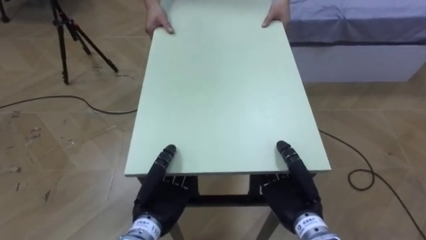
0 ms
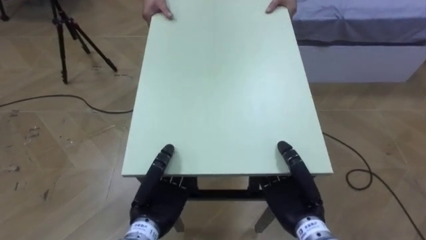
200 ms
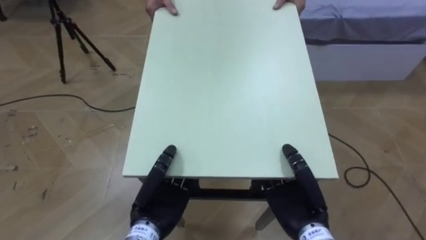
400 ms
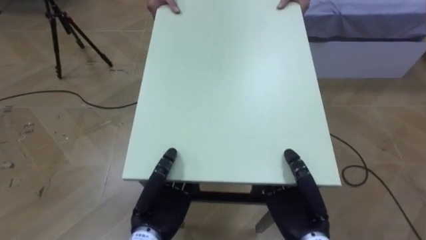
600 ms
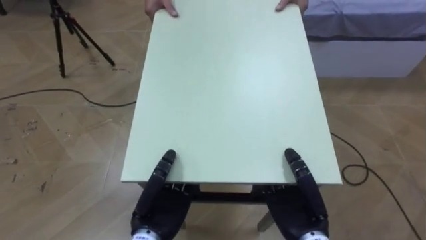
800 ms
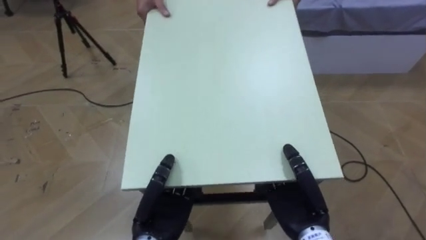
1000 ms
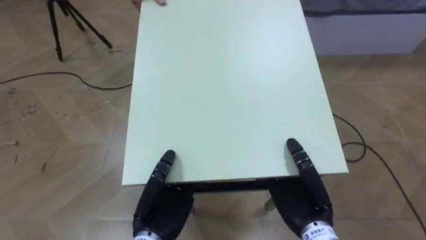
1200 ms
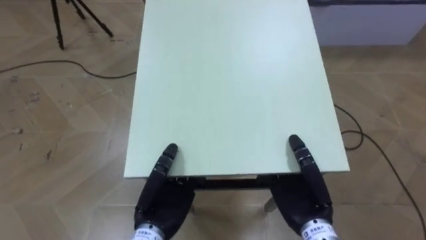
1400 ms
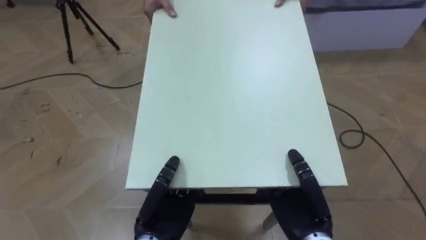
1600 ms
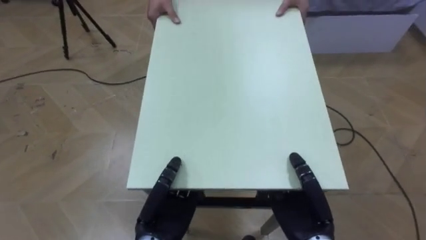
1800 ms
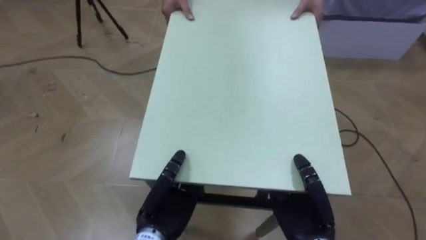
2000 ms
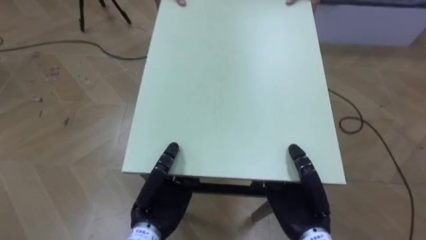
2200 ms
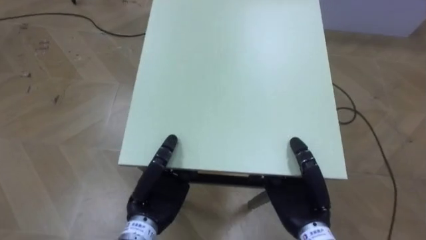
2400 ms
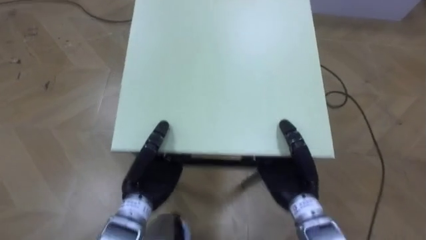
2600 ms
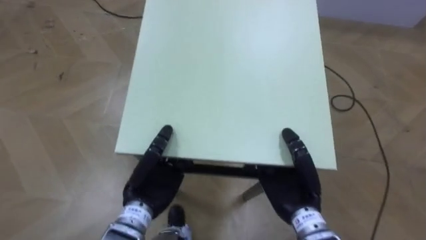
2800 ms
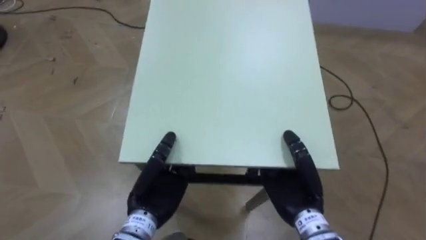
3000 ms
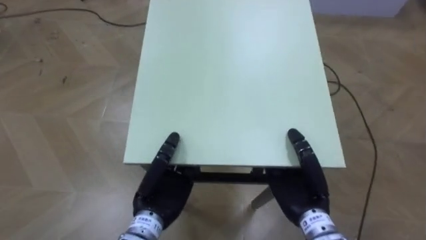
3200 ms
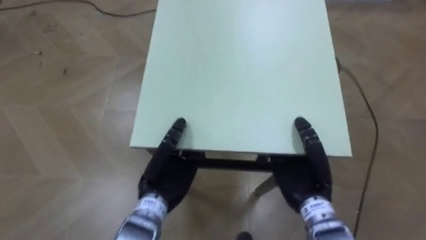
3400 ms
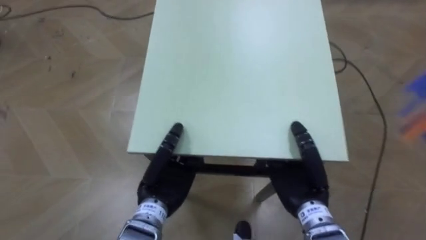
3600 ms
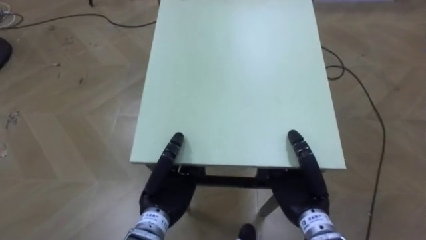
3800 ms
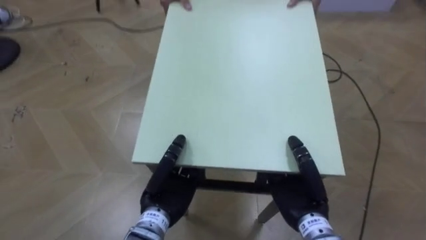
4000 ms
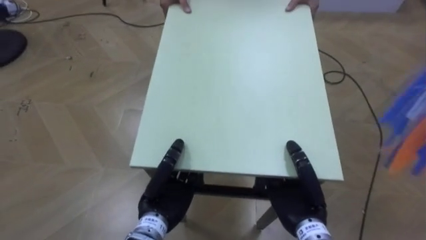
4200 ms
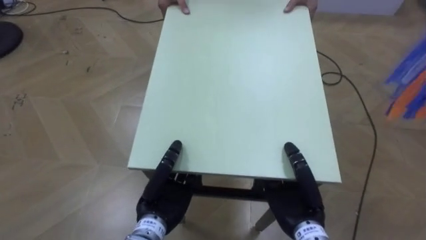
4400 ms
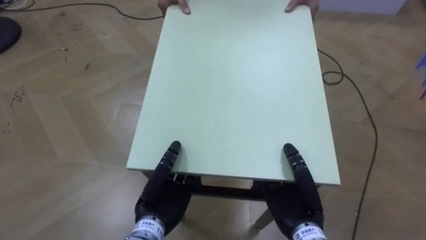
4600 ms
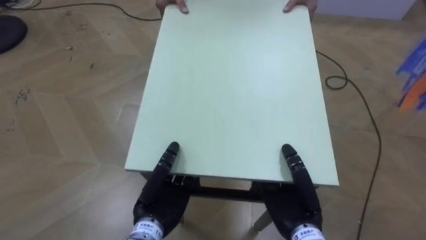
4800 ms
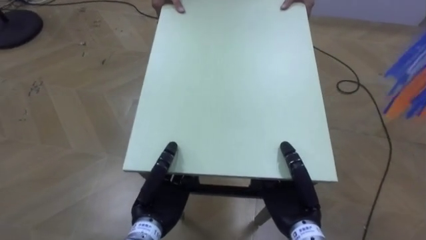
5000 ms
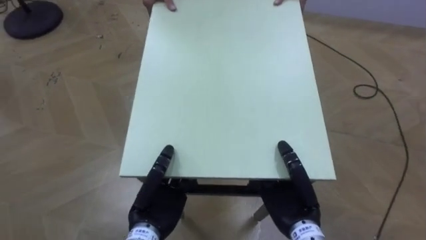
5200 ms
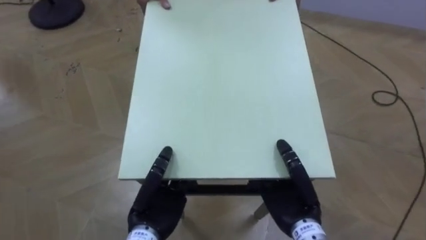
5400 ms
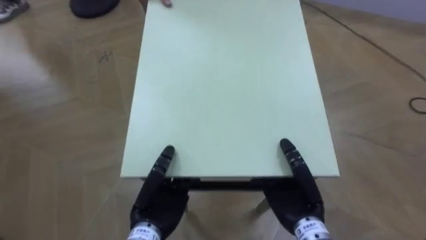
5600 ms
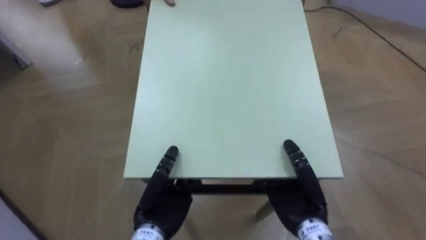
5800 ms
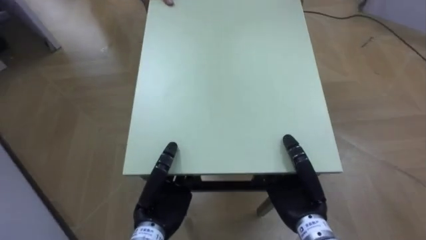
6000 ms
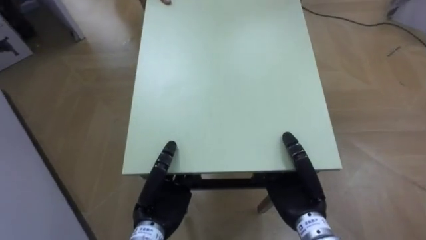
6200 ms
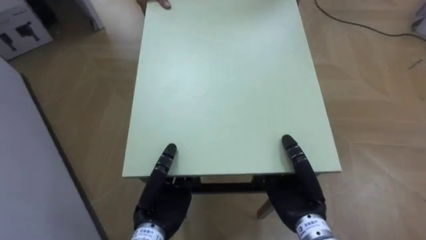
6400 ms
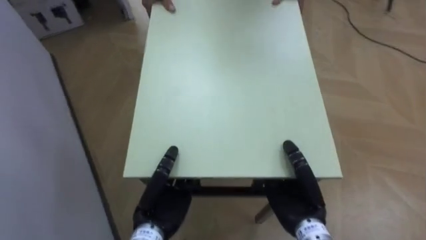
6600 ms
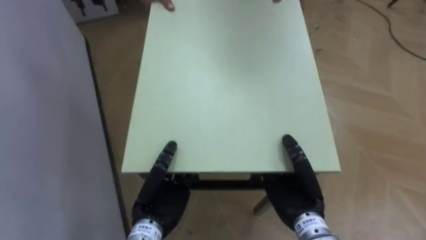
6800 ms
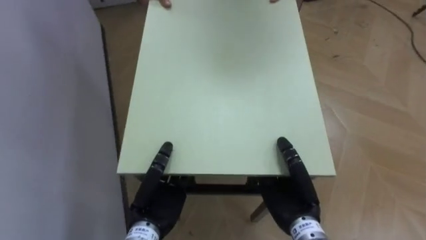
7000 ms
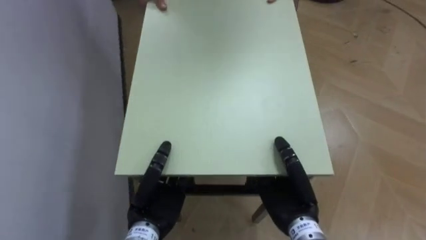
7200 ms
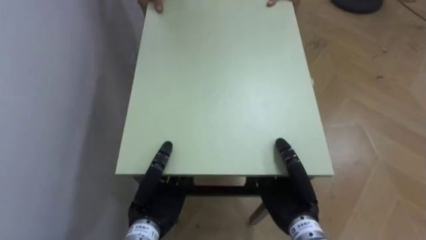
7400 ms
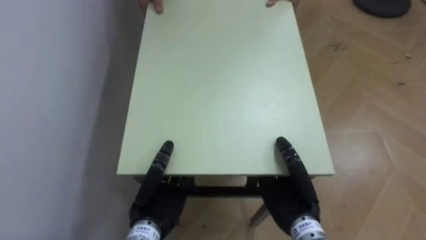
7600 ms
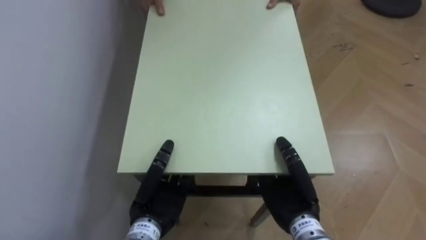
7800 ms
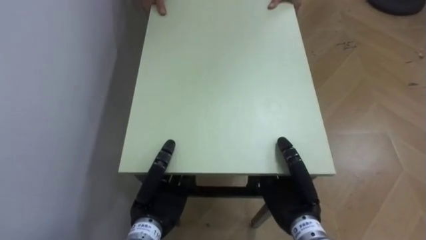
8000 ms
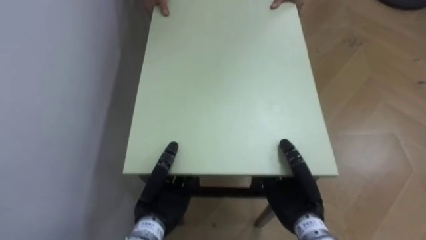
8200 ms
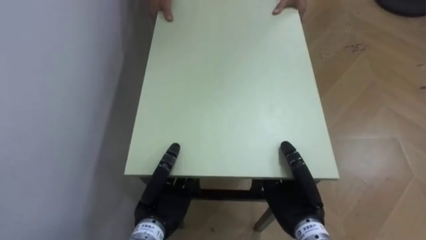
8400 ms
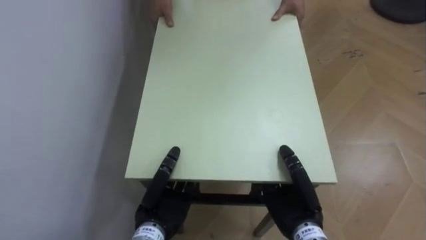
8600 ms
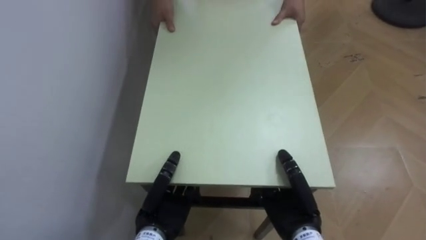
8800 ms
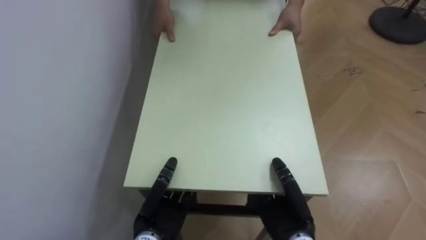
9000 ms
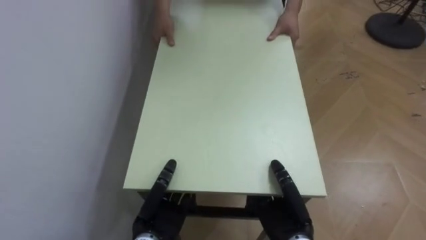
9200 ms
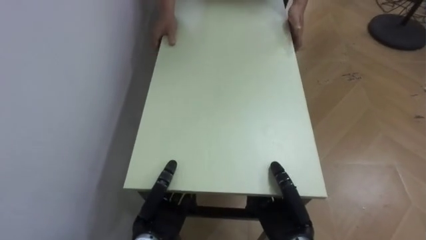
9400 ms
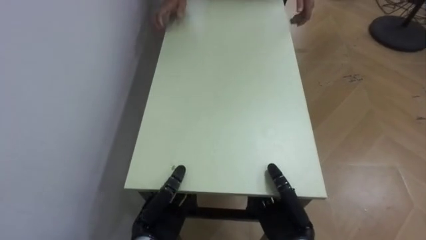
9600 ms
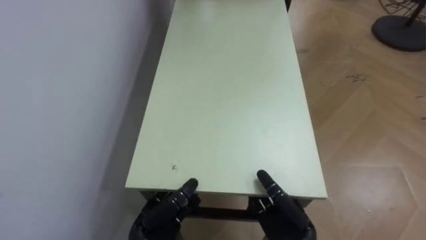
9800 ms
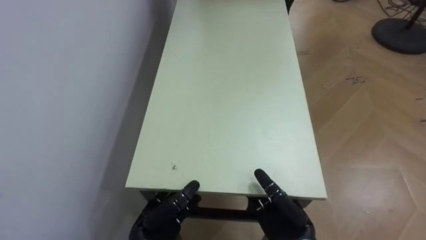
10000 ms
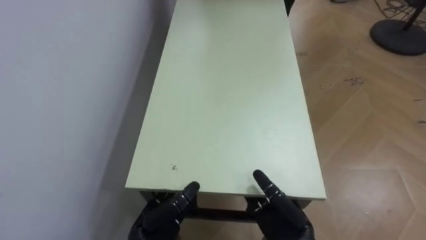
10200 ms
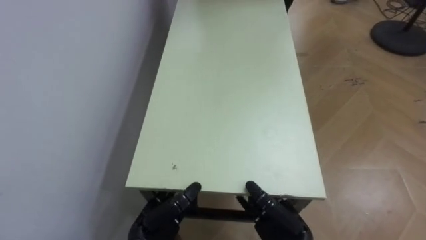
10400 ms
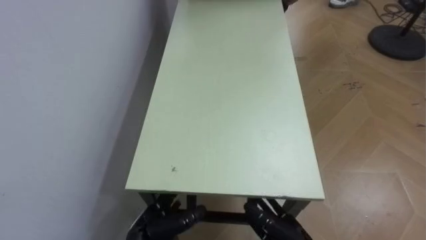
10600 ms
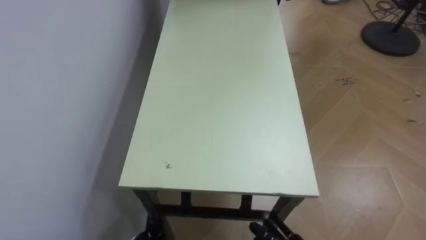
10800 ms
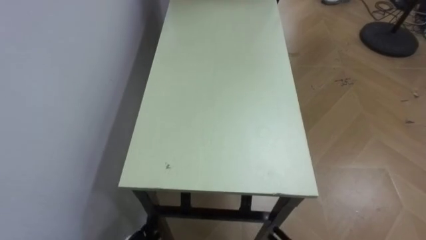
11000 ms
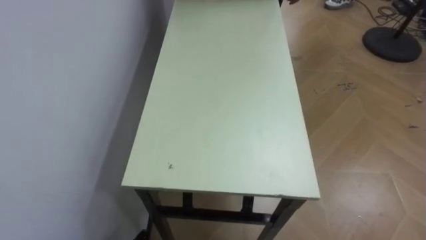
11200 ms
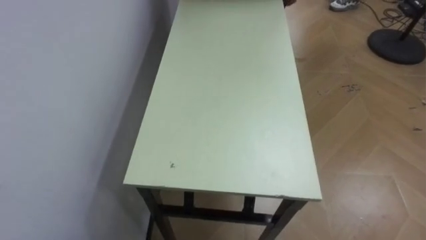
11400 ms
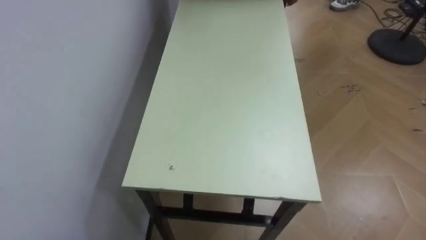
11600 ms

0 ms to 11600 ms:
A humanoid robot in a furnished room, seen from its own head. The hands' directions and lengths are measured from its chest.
Task of the whole recording: Move the table to the back left with someone.
4400 ms to 5800 ms: The robot turns to its left by approximately 30 degrees.
5800 ms to 7200 ms: The robot's body swings approximately 35 degrees to its left.
7200 ms to 8800 ms: The robot rotates approximately 20 degrees to its left.
8800 ms to 10200 ms: The right hand opens up; the left hand opens.

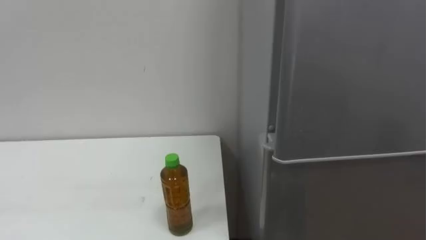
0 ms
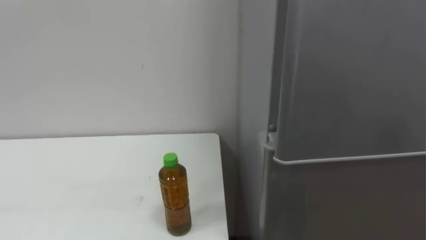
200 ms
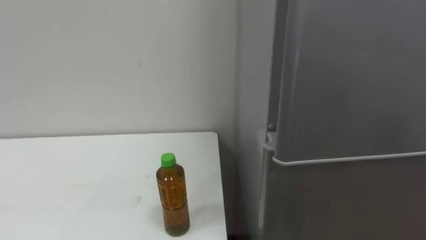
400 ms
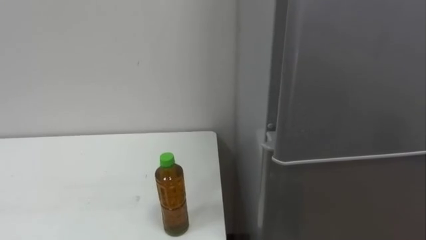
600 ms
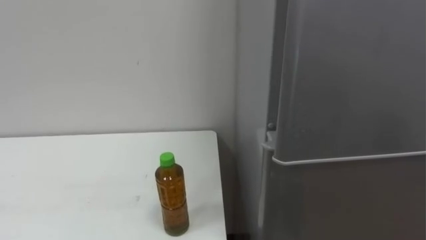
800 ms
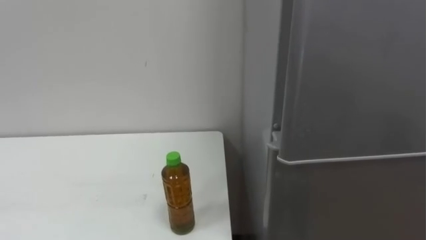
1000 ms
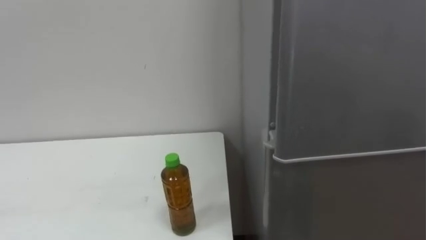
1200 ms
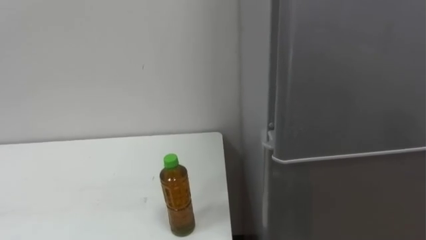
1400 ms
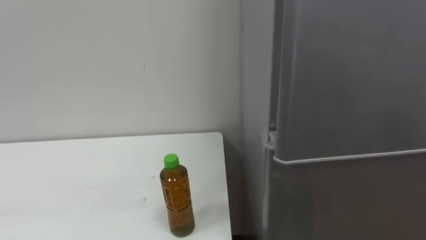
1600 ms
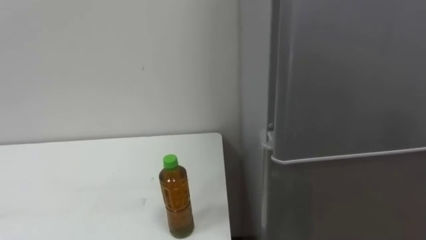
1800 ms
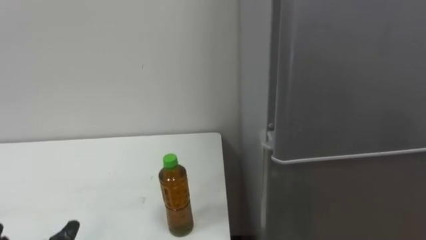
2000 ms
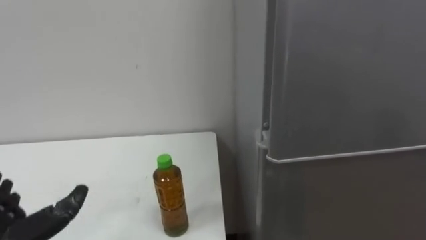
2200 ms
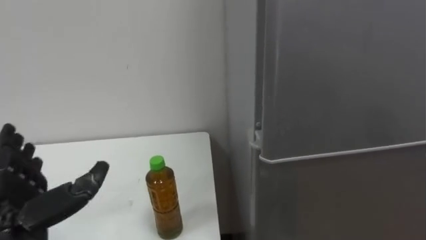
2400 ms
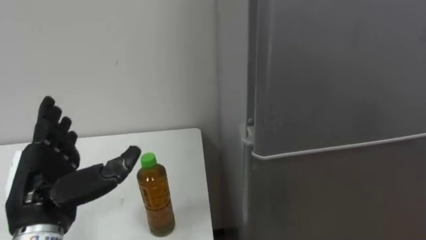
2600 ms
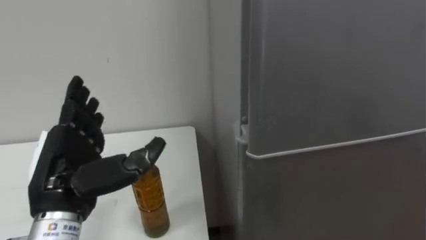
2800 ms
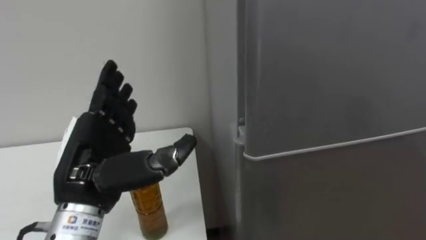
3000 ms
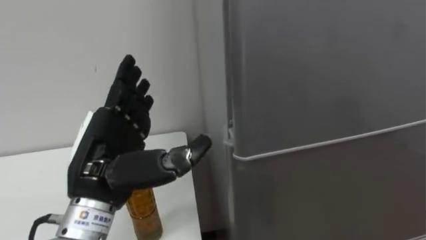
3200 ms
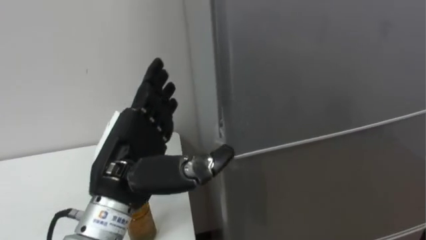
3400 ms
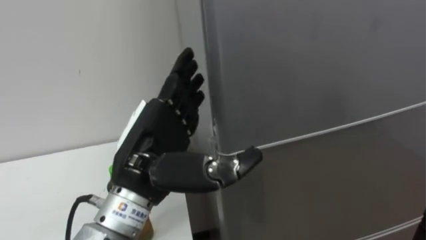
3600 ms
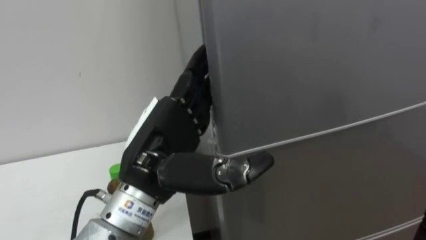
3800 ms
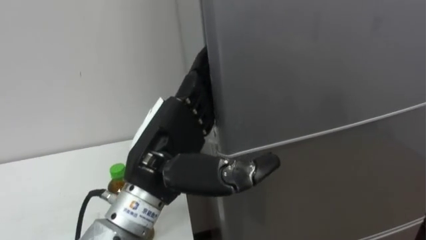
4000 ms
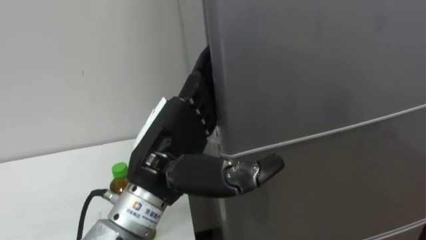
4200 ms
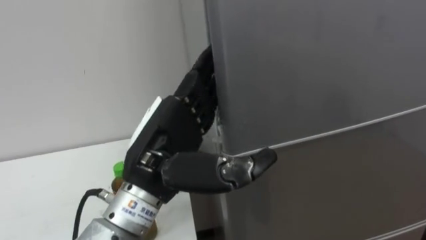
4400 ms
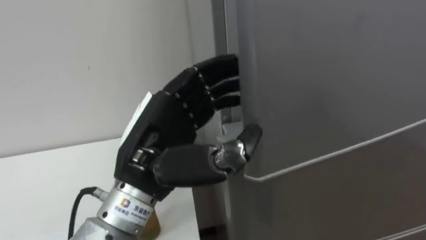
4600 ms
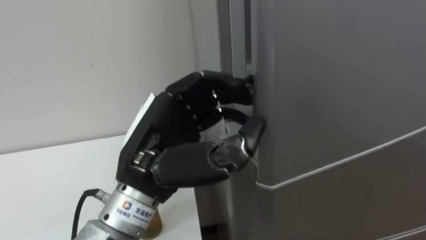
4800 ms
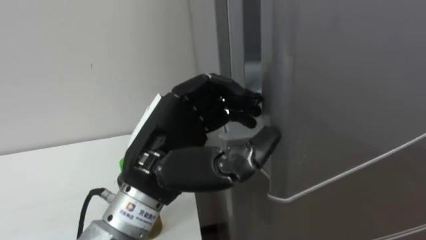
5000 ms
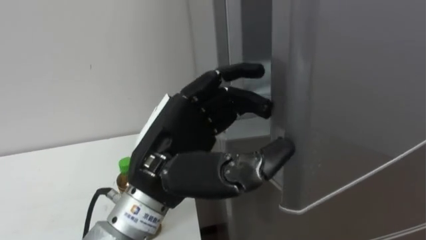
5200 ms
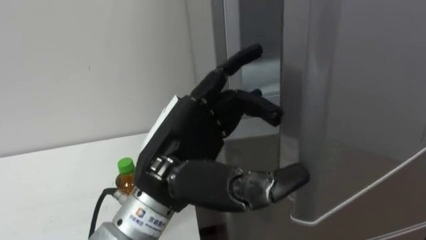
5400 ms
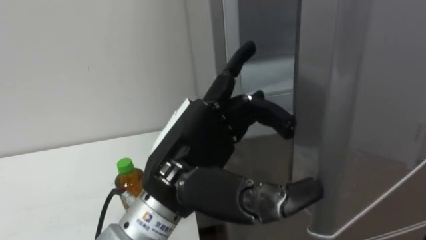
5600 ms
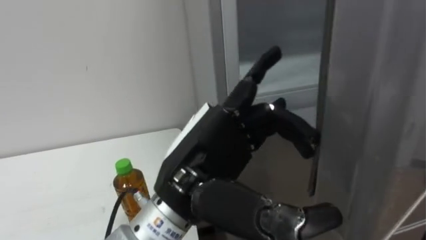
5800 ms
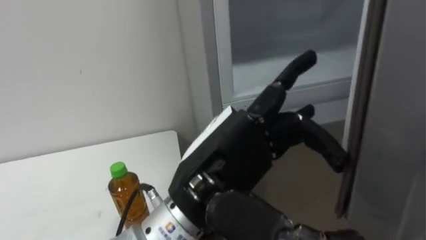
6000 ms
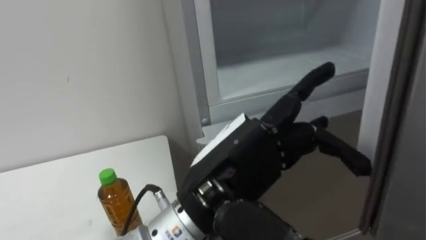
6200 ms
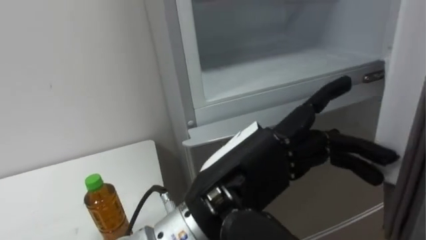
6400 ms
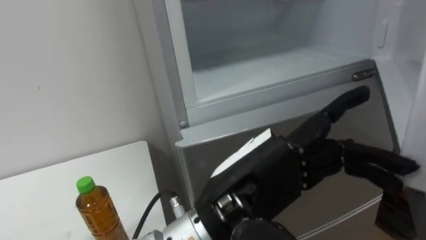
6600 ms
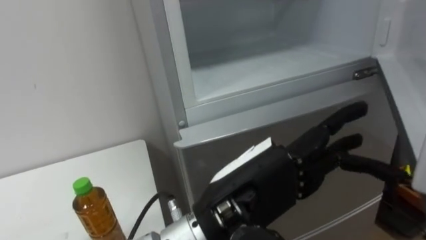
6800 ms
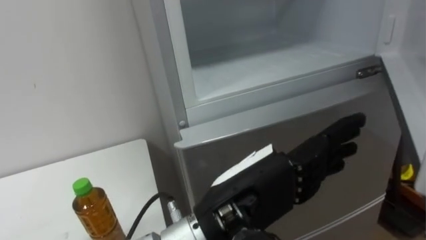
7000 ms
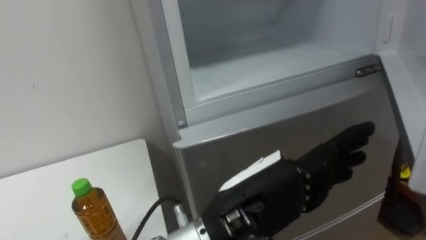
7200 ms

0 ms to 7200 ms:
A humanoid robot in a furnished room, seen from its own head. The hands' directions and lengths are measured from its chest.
Task of the whole recording: Open the upper refrigerator door, put the drink from the table into the refrigerator, and then close the refrigerator door.
2800 ms to 4400 ms: The left hand is displaced to the right by roughly 15 cm.
4400 ms to 5800 ms: The left hand moves some 5 cm, and closes, then reopens.
5800 ms to 7200 ms: The left hand is displaced to the right by about 5 cm.
